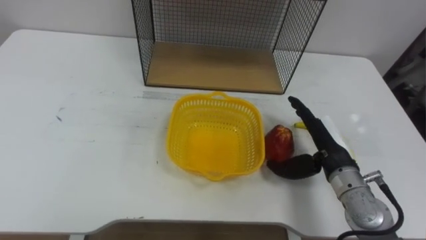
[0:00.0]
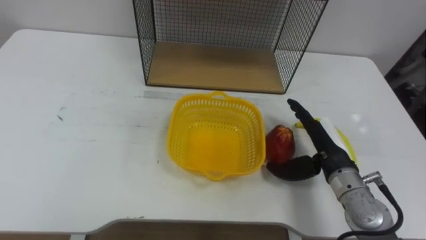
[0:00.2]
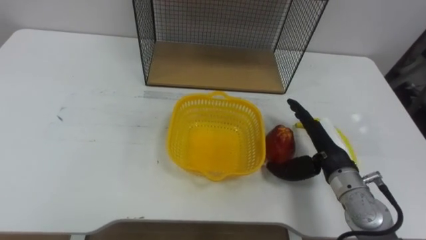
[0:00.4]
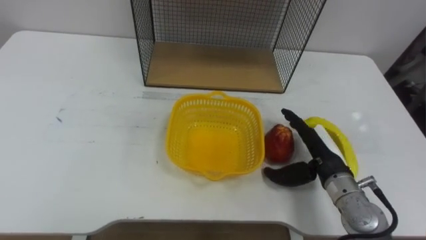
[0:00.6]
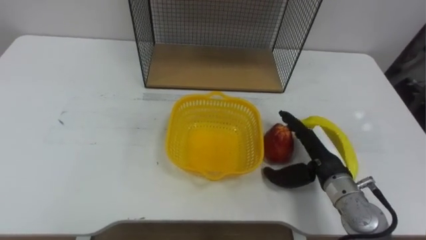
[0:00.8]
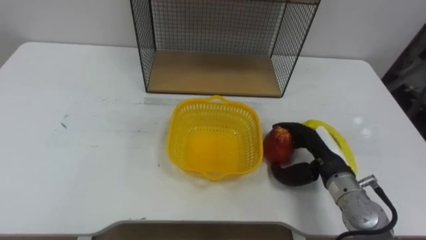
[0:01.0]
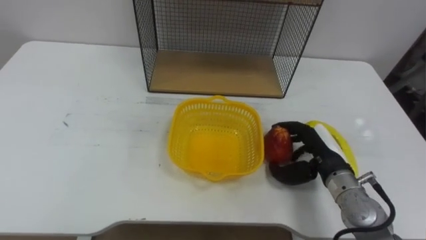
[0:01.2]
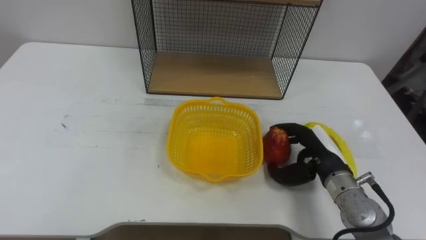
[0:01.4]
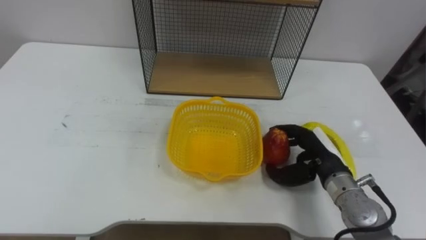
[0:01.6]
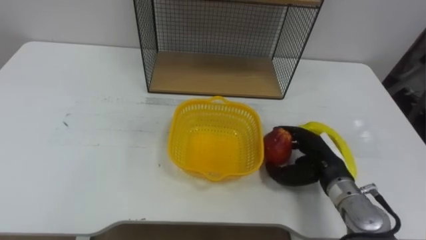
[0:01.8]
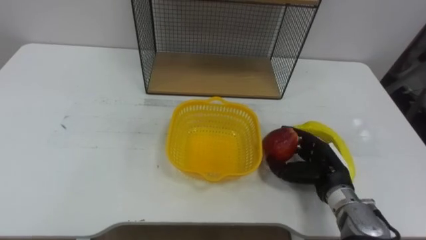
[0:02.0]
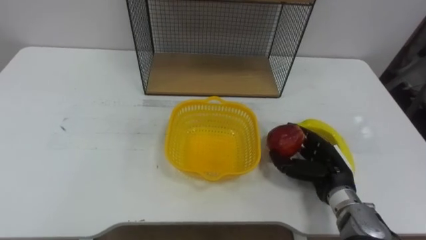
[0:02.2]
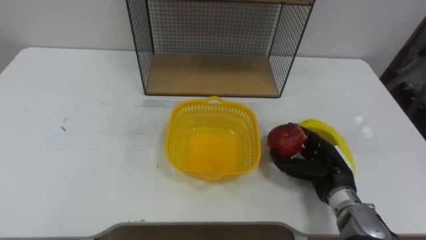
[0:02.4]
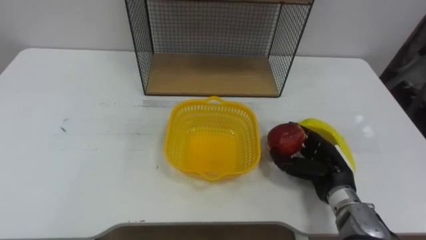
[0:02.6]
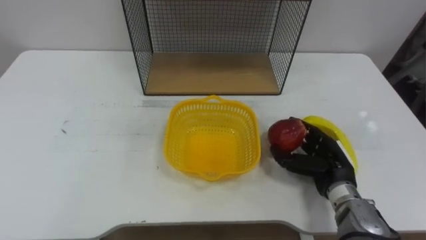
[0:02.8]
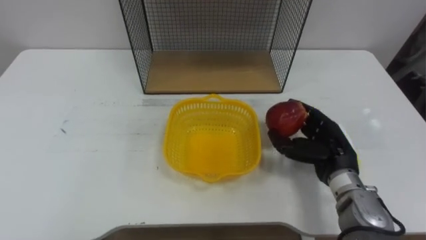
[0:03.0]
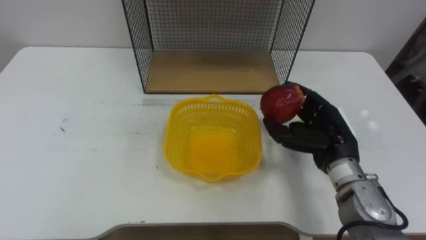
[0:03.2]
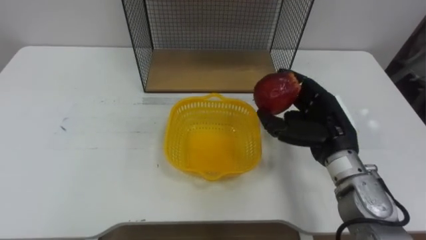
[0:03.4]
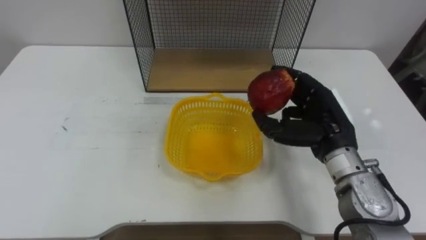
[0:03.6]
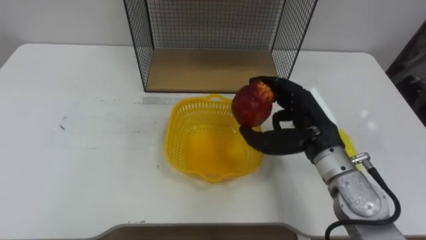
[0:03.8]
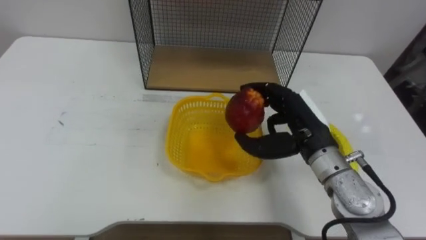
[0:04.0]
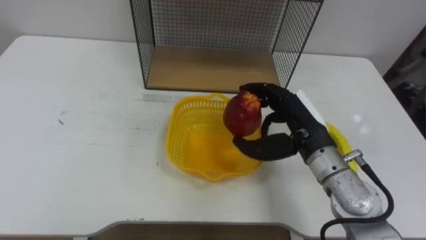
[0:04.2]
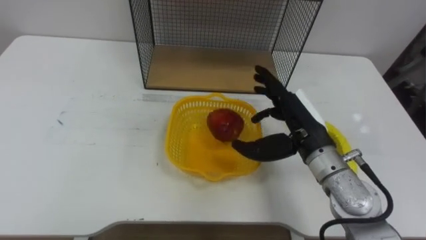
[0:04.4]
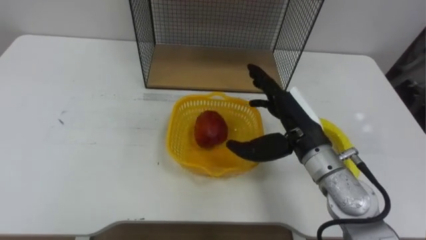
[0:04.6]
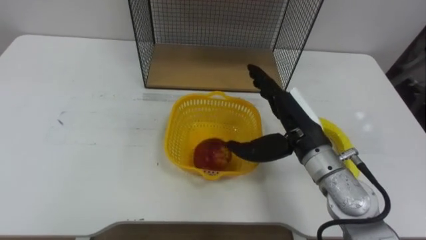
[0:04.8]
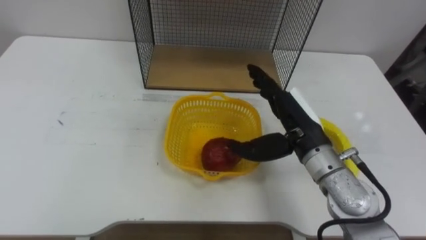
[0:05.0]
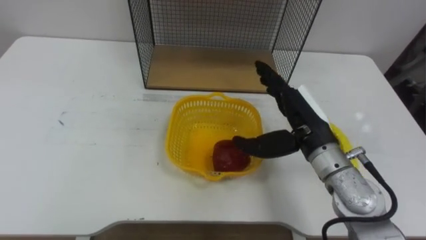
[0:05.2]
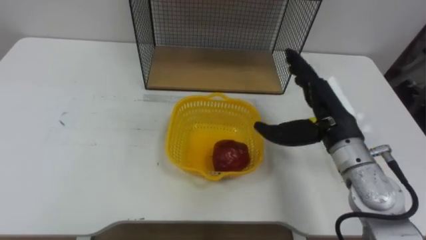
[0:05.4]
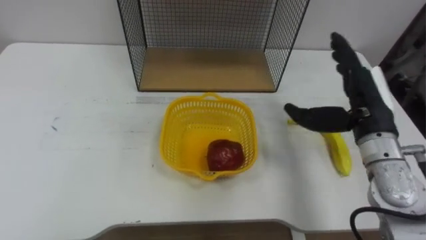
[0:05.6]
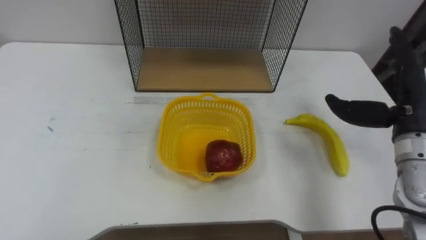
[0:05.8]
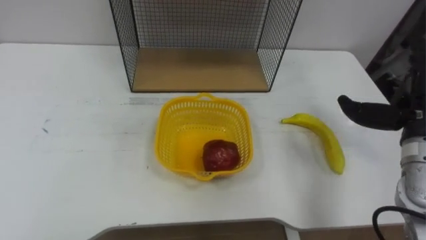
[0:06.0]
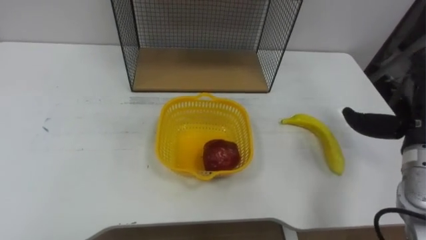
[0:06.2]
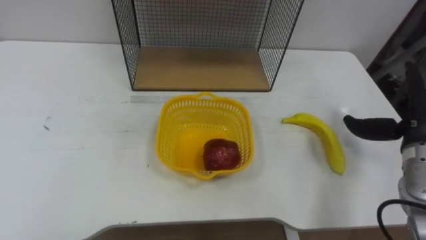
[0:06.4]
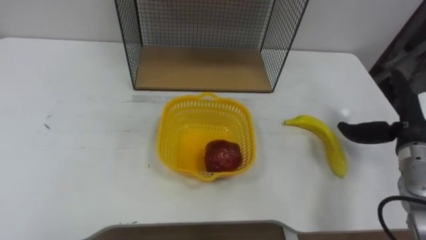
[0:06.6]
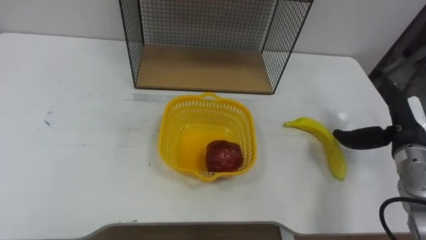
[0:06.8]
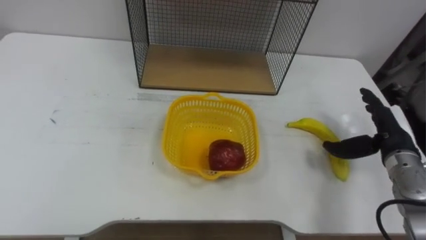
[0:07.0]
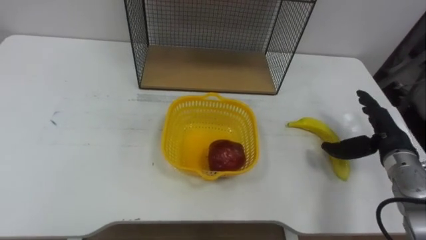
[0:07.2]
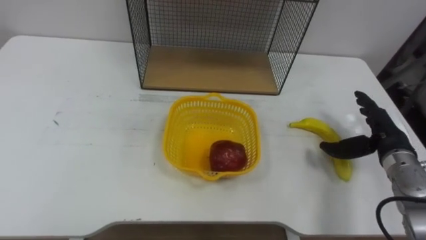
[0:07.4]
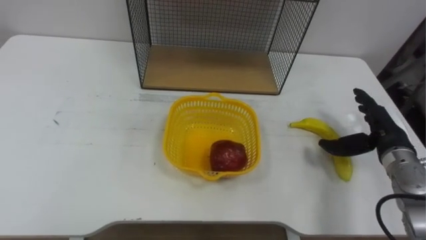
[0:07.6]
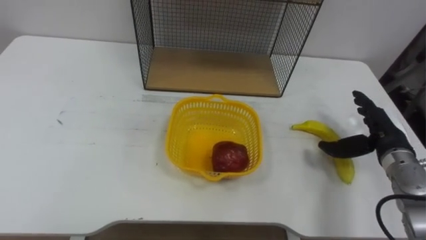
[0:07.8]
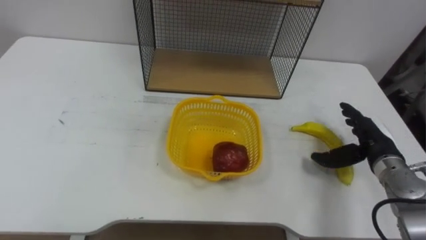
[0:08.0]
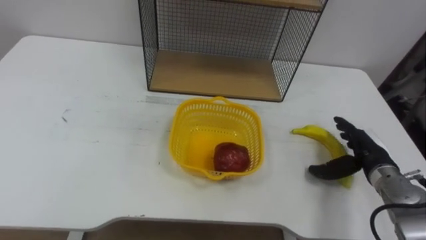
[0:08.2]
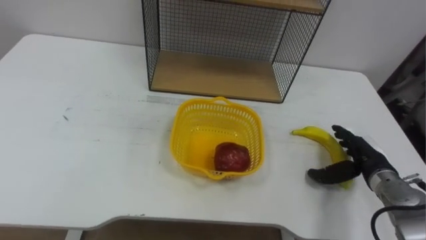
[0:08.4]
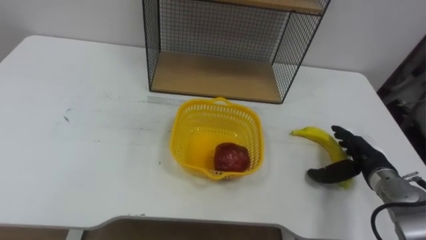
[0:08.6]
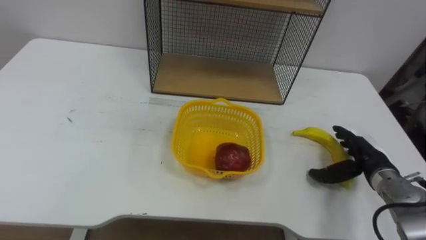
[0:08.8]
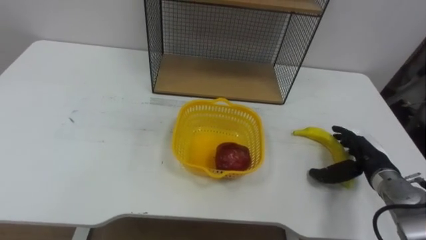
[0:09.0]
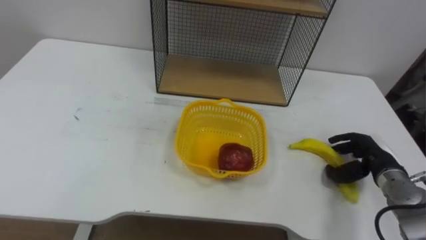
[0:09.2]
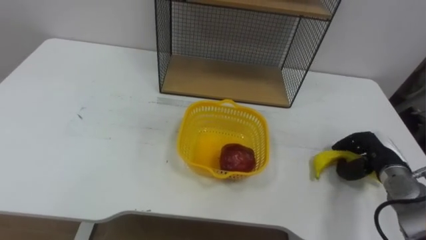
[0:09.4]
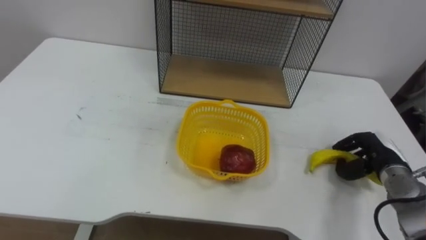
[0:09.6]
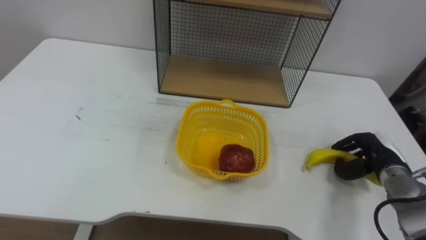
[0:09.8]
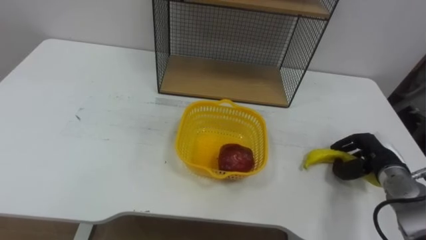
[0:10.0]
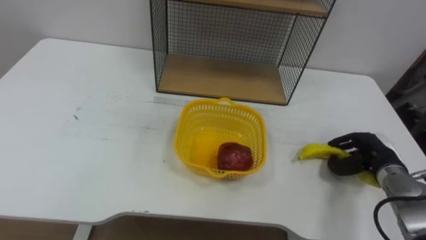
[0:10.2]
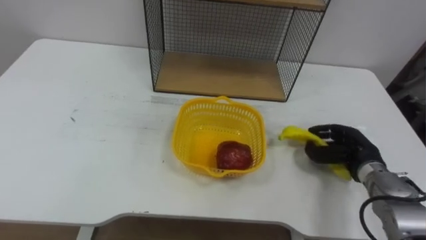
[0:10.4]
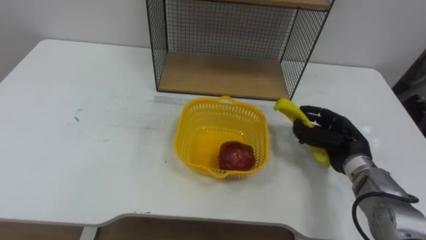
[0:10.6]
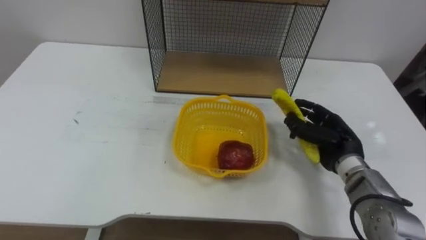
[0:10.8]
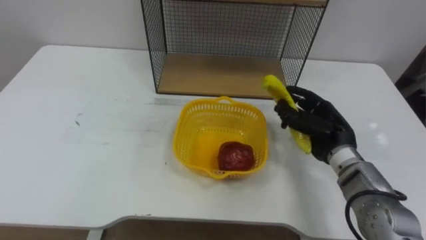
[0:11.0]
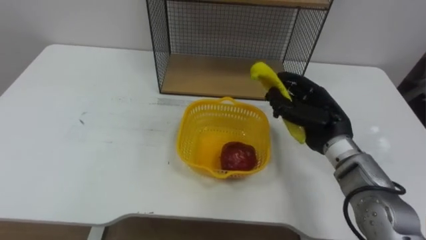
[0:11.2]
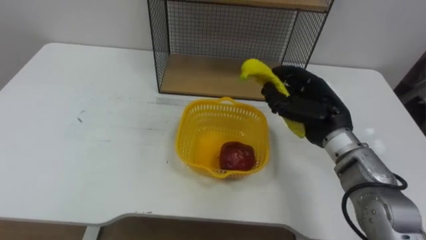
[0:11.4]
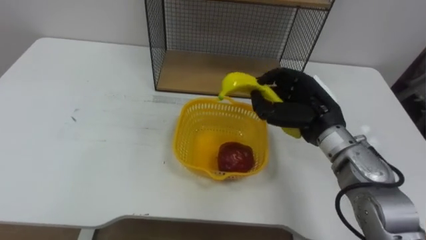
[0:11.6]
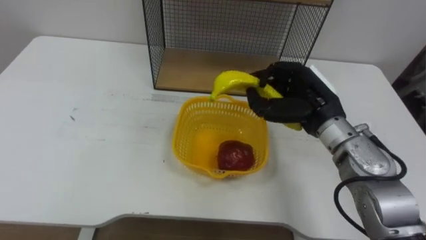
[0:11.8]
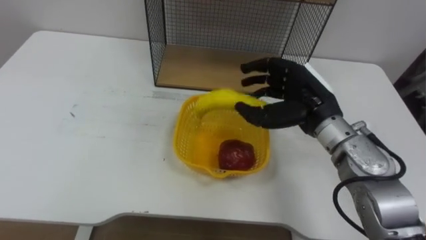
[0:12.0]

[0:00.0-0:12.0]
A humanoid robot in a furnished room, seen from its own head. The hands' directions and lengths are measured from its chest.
Task of the whole recording: Put the fruit on the table into the basket, then place the basket on the shelf.
0:00.0 to 0:01.6: The right hand closes.
0:03.0 to 0:04.4: The right hand heads upward and to the left, covering roughly 10 cm, and opens its fingers.
0:04.4 to 0:06.0: The right hand goes roughly 15 cm to the right.
0:07.6 to 0:09.0: The right hand is displaced downward by roughly 5 cm.
0:09.0 to 0:10.4: The right hand closes its fingers.
0:10.4 to 0:12.0: The right hand travels upward and to the left by about 20 cm, and opens its fingers.

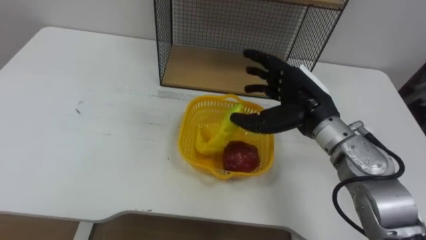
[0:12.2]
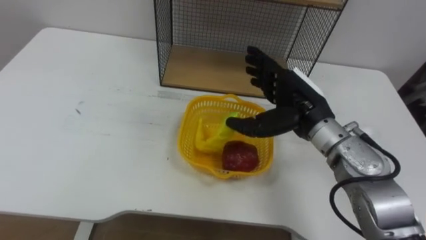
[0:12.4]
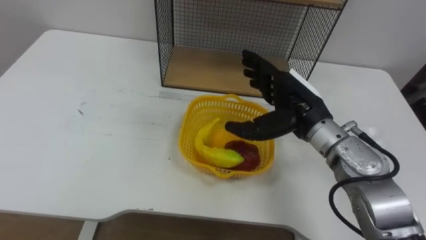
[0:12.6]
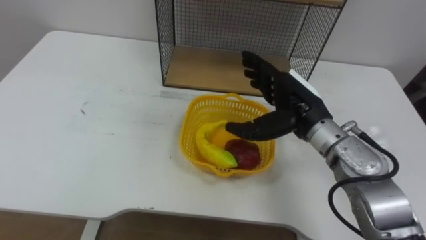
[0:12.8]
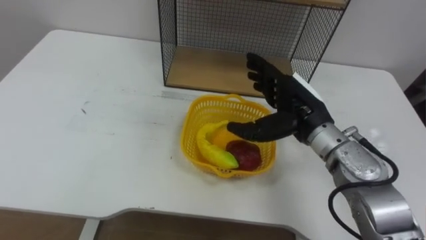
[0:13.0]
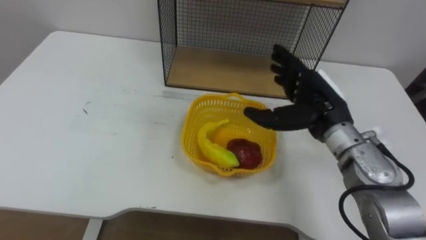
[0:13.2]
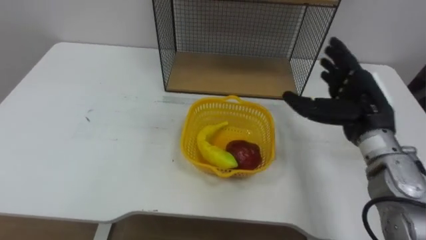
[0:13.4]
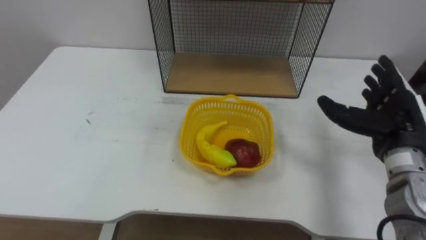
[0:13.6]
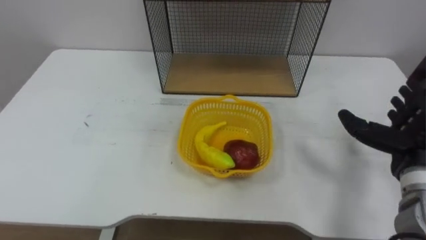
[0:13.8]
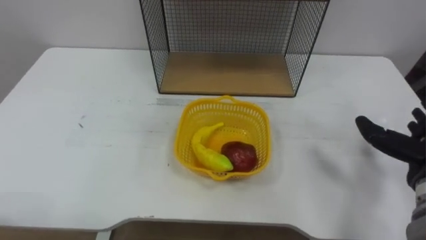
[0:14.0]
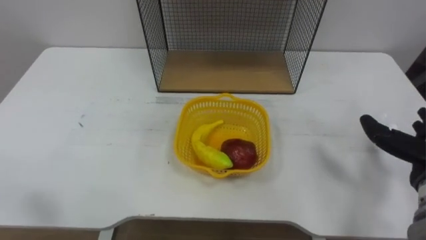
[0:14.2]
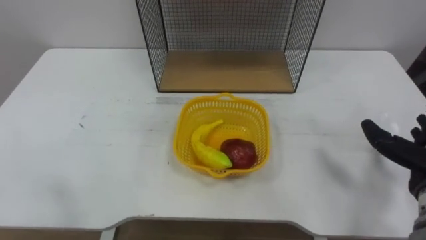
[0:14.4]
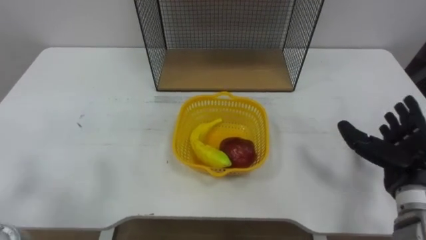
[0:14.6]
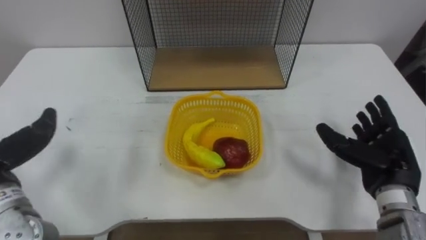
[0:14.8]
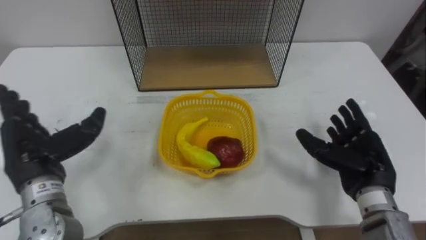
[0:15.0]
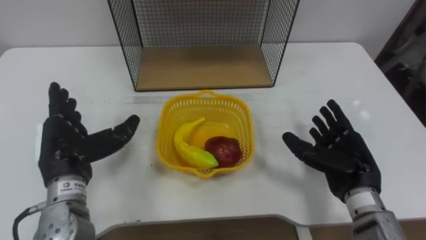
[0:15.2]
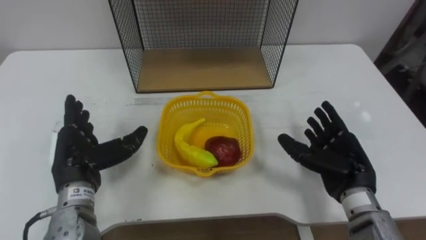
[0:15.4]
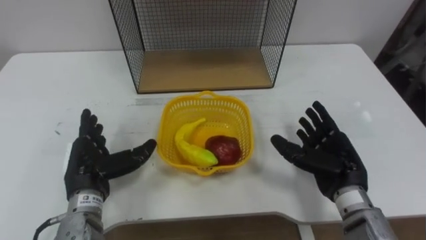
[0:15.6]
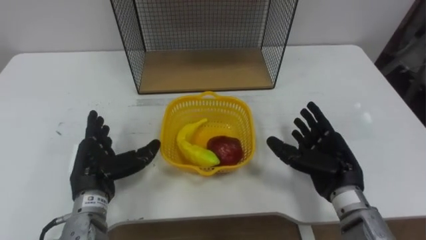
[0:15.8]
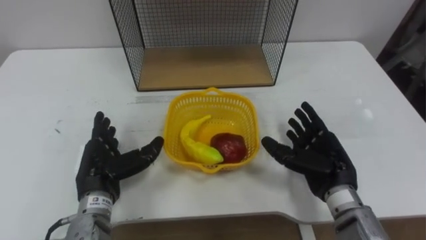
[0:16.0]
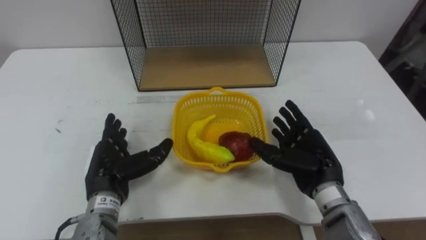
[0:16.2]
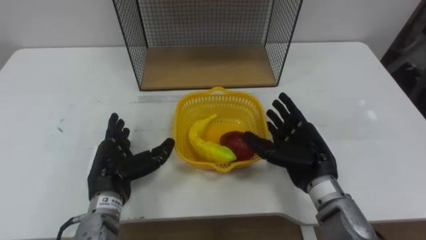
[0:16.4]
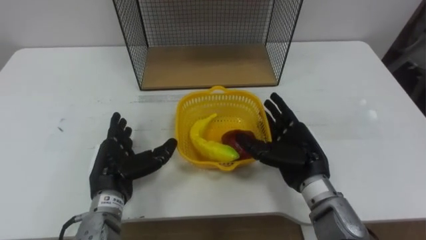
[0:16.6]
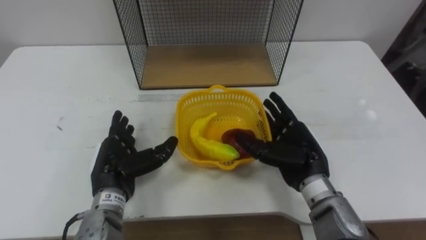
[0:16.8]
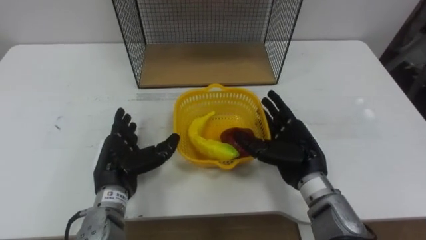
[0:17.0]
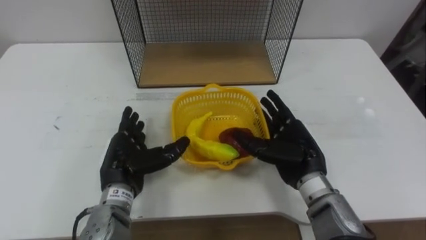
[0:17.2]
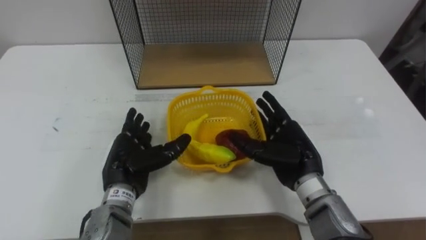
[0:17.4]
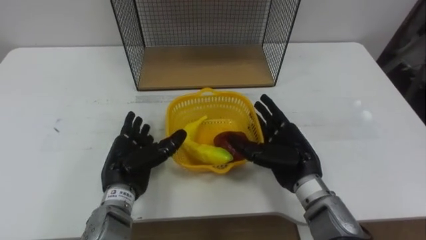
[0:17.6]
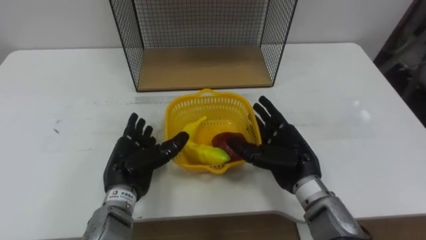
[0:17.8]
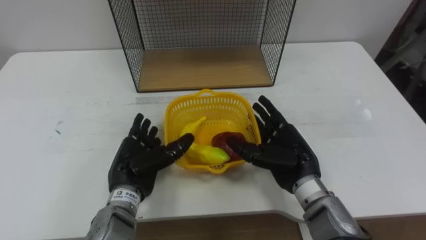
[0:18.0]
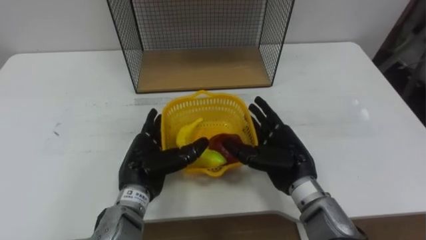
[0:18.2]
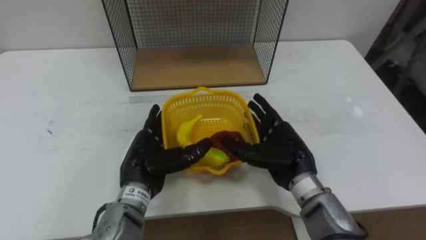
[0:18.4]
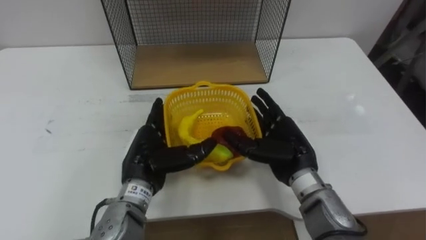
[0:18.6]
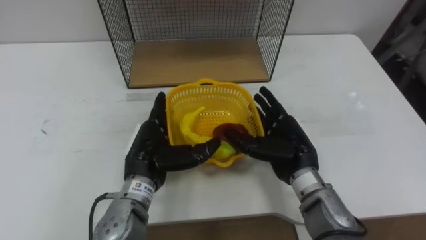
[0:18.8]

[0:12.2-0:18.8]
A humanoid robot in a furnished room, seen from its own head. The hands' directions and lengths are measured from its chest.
Task of the whole recording: Put the fruit on the table into the basket, then place the basket on the shelf.
0:12.2 to 0:13.8: The right hand moves to the right and backward, some 20 cm.
0:15.4 to 0:17.2: The left hand moves to the right, some 5 cm; the right hand heads to the left, covering roughly 10 cm.
0:17.2 to 0:18.8: The left hand travels to the right by approximately 5 cm.
